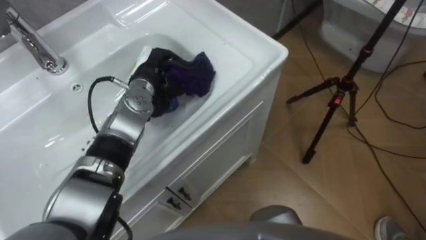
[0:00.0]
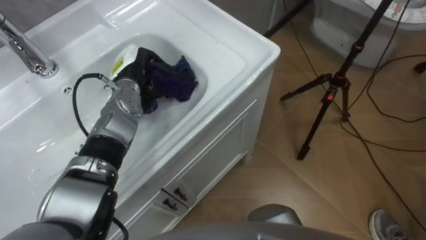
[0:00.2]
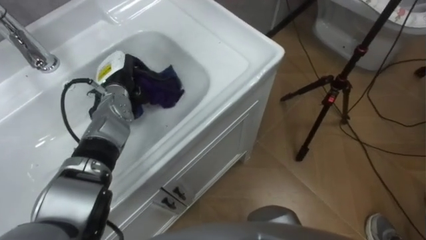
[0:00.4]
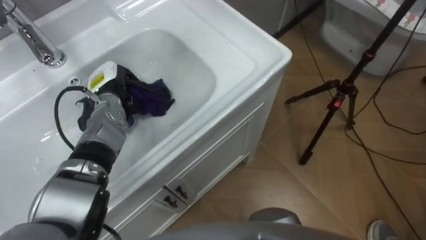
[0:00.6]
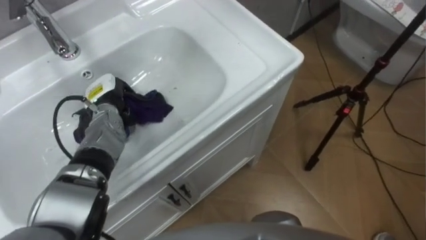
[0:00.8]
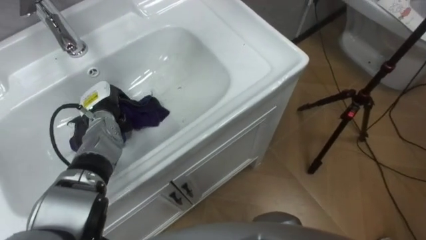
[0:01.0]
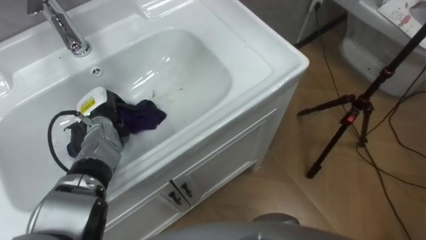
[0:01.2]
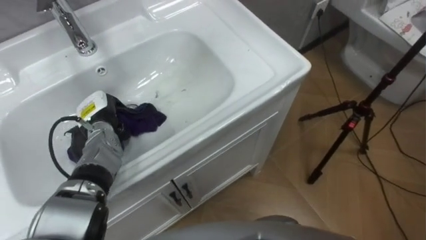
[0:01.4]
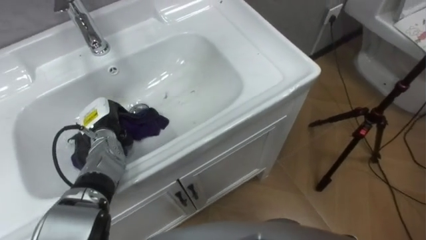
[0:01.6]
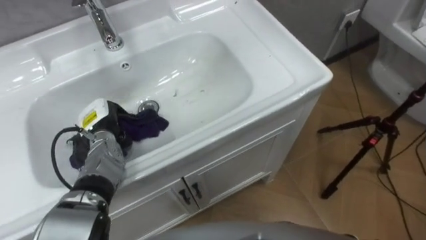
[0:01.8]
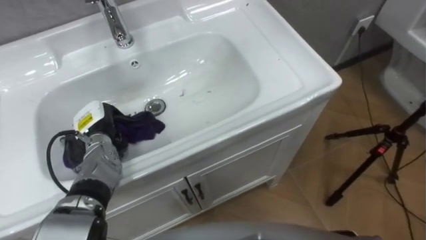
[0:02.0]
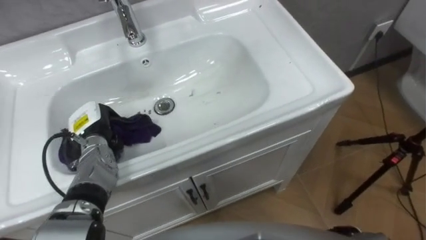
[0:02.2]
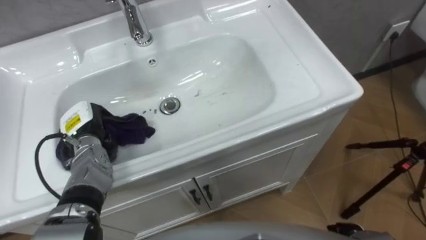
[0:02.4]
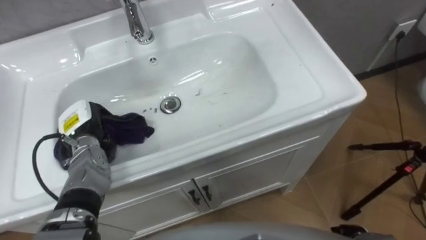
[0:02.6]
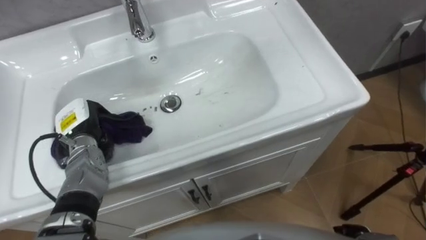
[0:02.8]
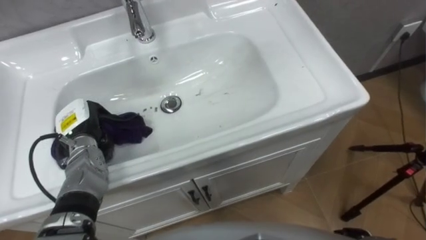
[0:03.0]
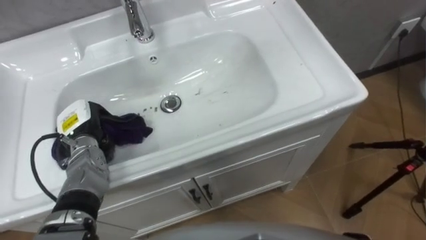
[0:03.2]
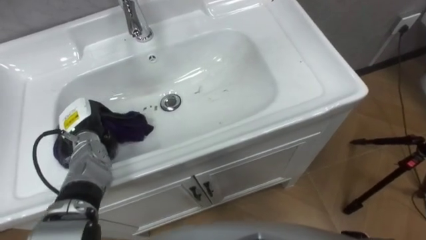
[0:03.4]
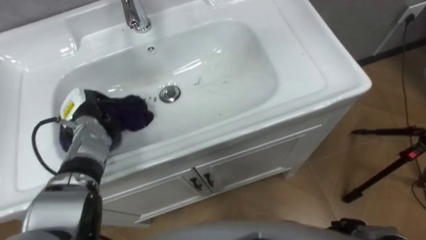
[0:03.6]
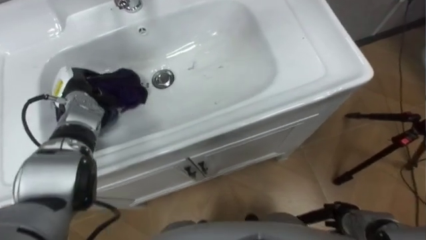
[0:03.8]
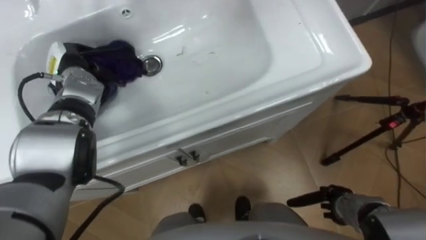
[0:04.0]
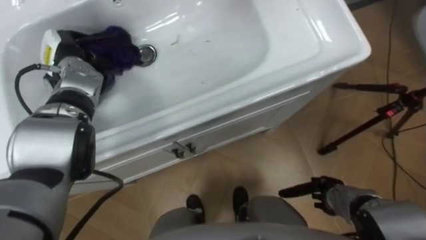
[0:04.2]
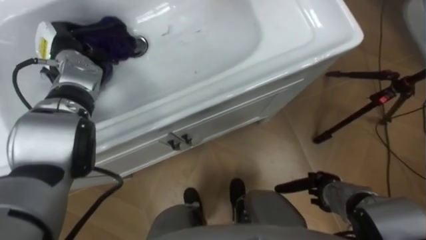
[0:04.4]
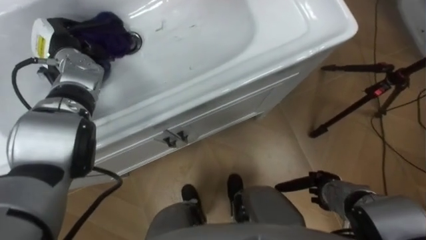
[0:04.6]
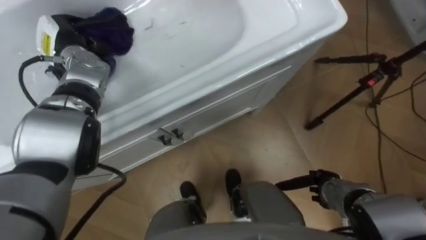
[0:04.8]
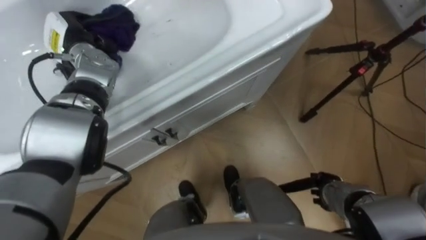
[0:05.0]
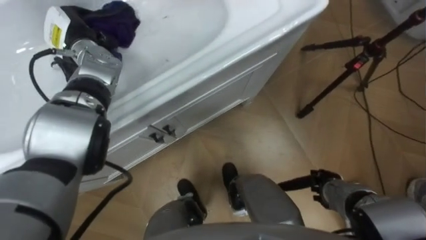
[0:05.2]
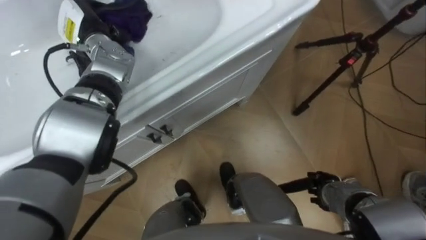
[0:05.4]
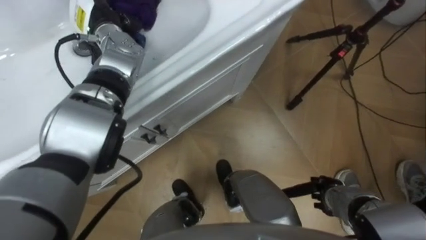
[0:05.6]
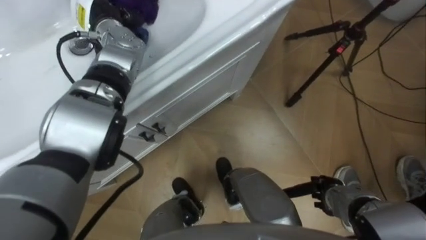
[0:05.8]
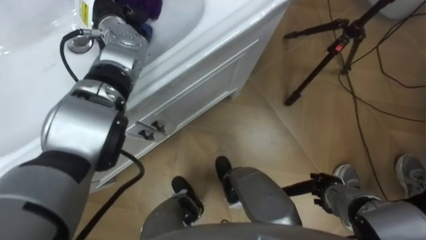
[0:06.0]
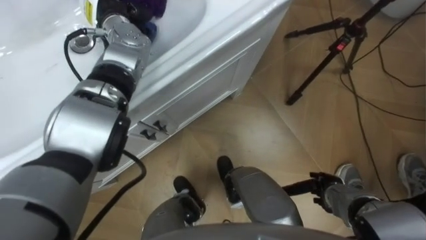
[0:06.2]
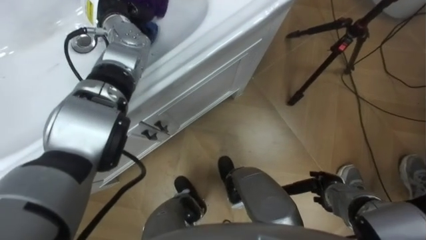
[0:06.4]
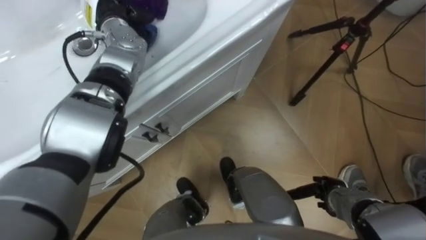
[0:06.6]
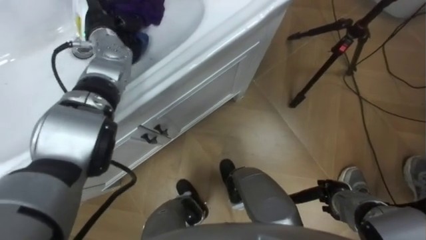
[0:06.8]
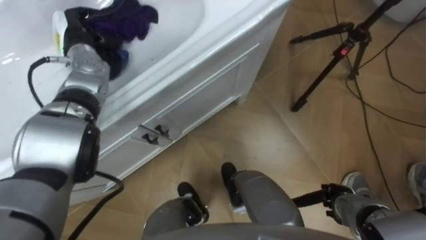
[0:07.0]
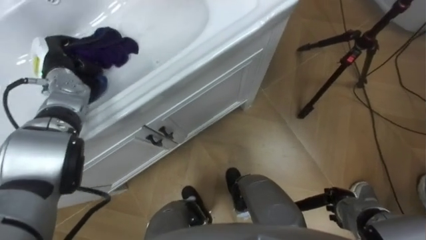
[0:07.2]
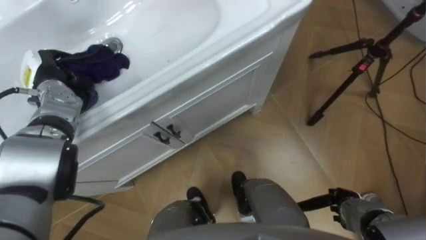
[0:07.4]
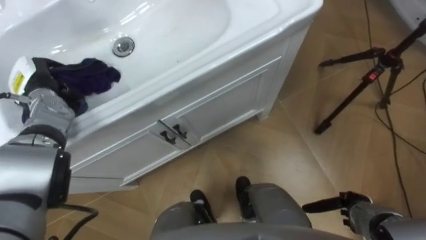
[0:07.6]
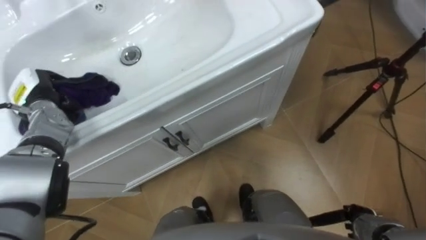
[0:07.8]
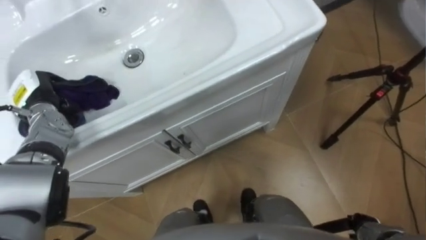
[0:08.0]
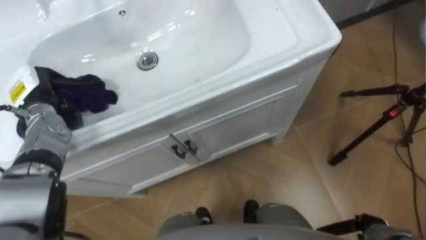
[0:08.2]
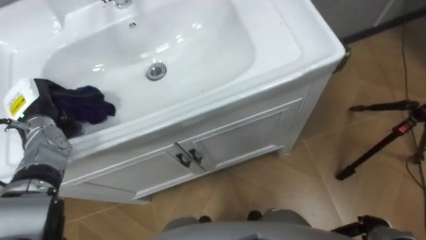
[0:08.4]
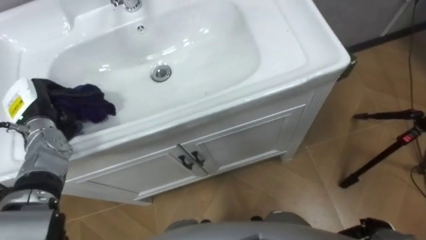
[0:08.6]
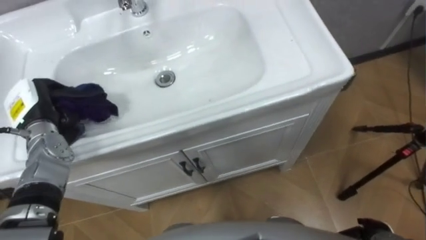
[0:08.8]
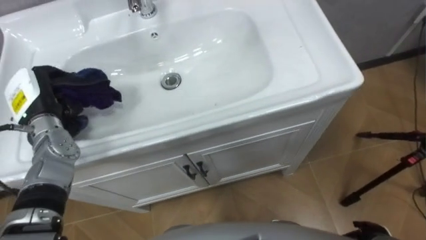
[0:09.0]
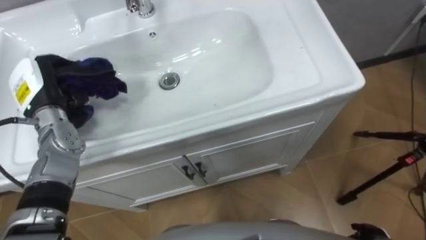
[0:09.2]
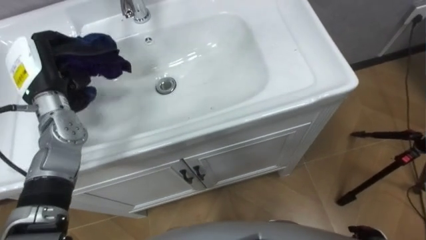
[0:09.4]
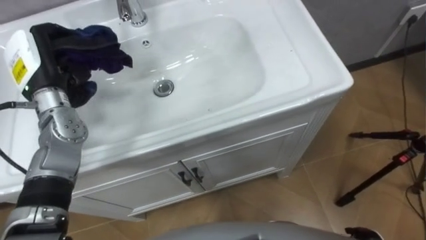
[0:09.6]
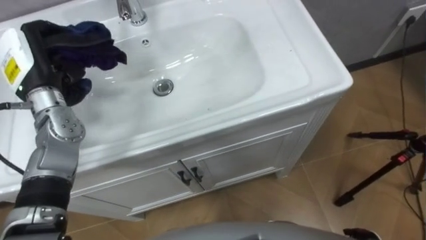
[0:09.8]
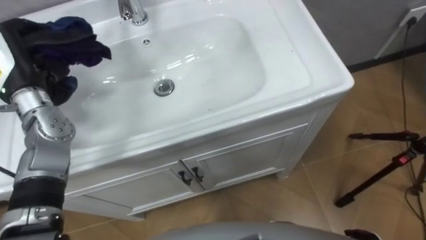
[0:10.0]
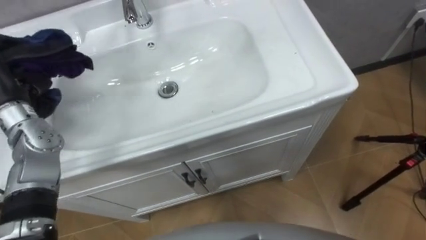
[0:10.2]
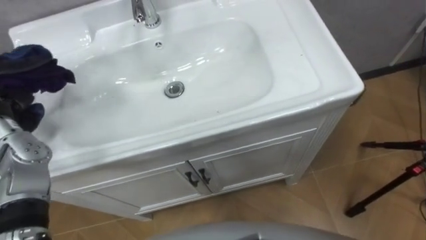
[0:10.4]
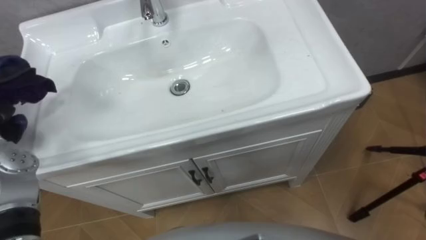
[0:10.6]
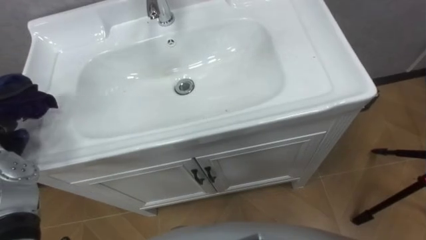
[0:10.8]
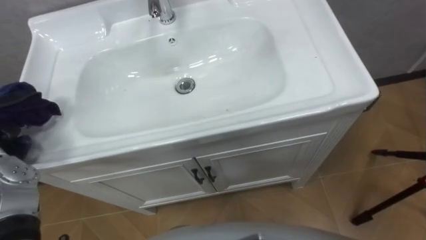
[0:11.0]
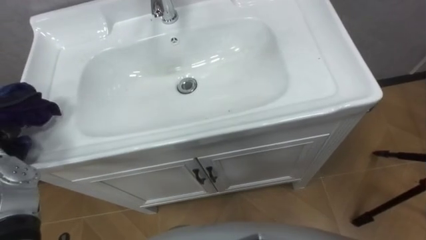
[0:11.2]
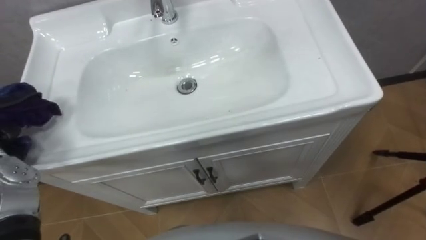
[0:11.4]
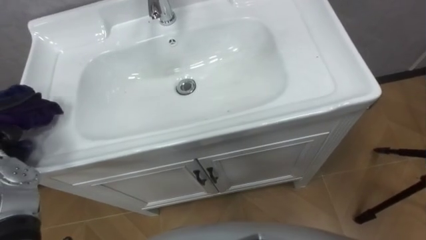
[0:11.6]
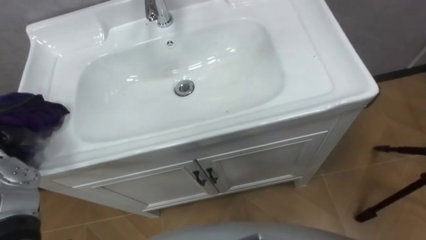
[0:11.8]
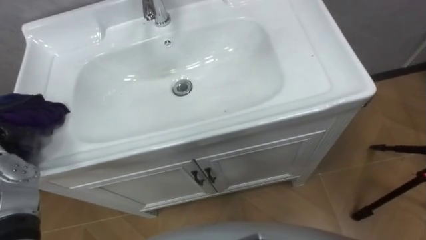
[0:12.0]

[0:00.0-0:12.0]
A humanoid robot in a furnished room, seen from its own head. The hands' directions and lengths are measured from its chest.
Task of the whole recording: Use the cloth on the right to wipe away the black stain in the sink.
0:00.0 to 0:01.6: The left hand heads to the left, backward and downward, covering some 15 cm.
0:03.0 to 0:04.4: The left hand heads forward and upward, covering approximately 15 cm.
0:04.4 to 0:06.0: The left hand is displaced to the right and upward by some 10 cm.
0:06.0 to 0:07.6: The right hand heads to the right, covering approximately 5 cm, while the left hand travels to the left, backward and downward by some 20 cm.
0:07.6 to 0:09.0: The left hand moves about 5 cm.

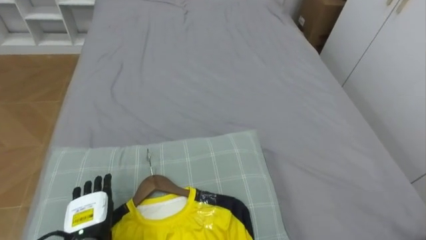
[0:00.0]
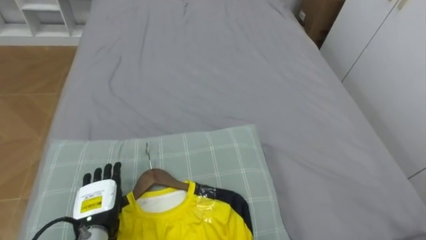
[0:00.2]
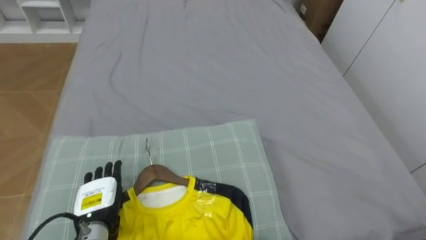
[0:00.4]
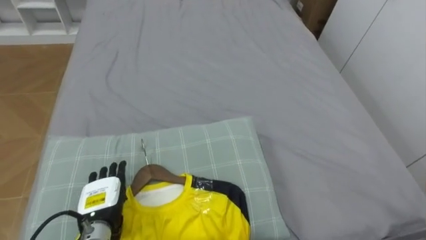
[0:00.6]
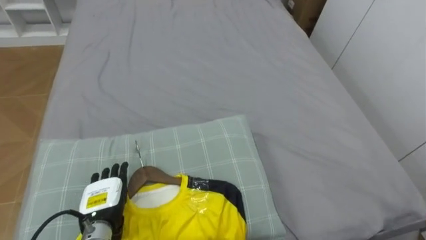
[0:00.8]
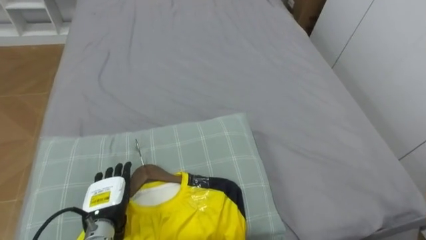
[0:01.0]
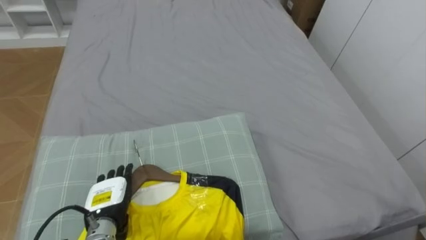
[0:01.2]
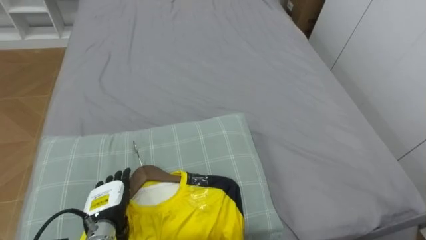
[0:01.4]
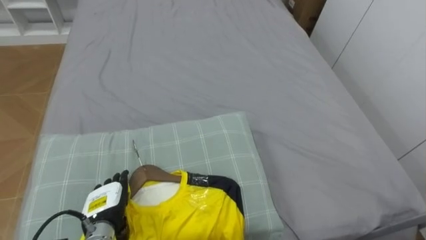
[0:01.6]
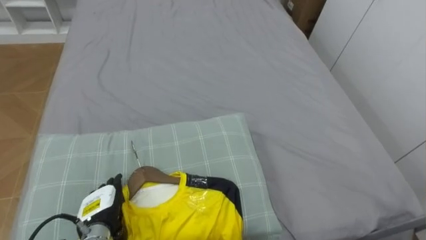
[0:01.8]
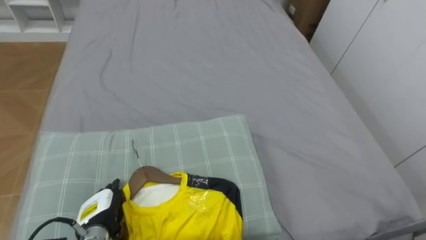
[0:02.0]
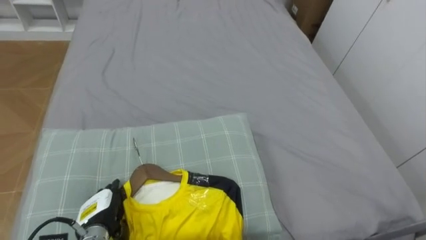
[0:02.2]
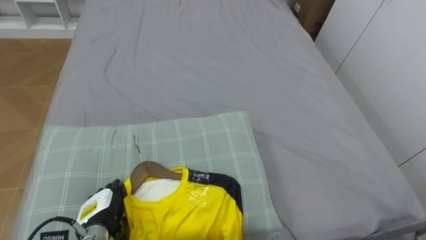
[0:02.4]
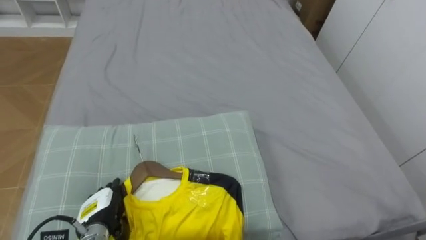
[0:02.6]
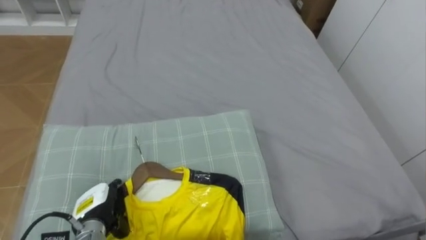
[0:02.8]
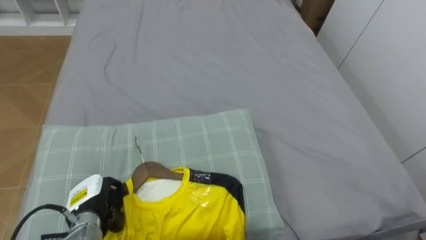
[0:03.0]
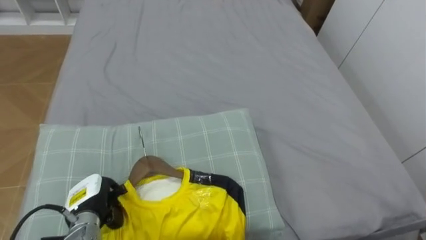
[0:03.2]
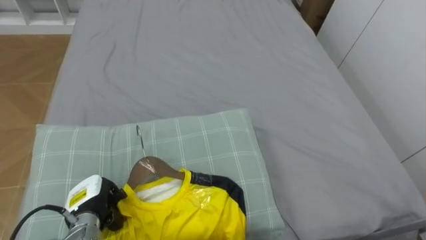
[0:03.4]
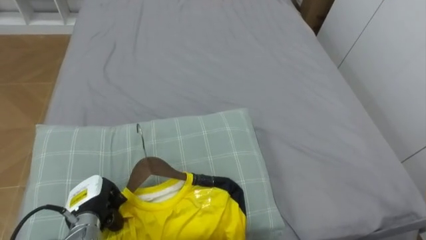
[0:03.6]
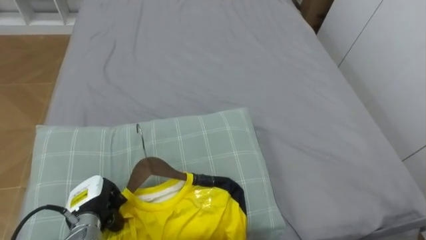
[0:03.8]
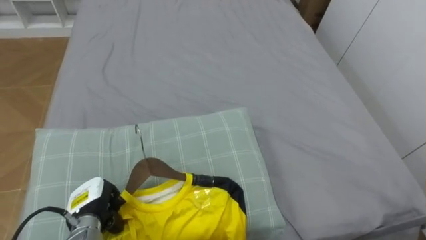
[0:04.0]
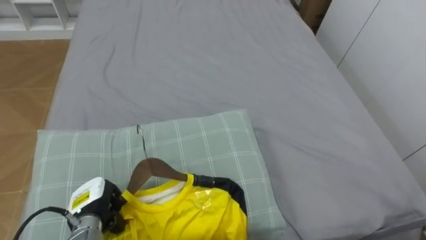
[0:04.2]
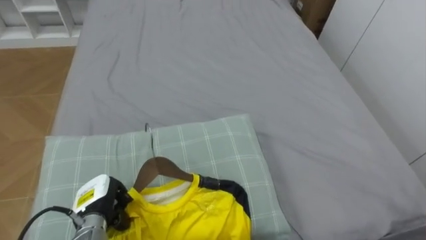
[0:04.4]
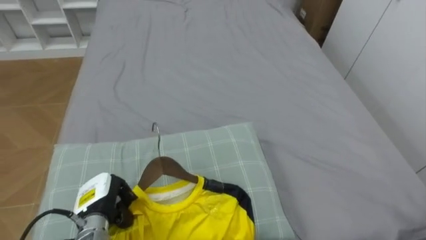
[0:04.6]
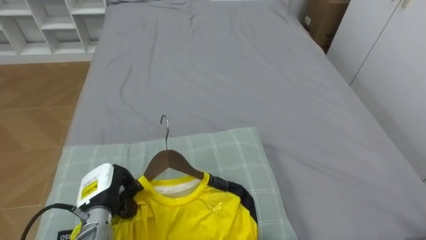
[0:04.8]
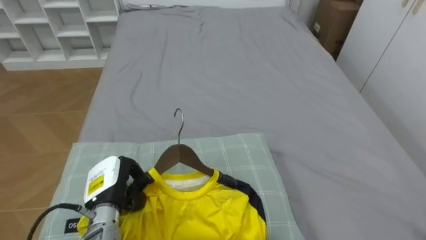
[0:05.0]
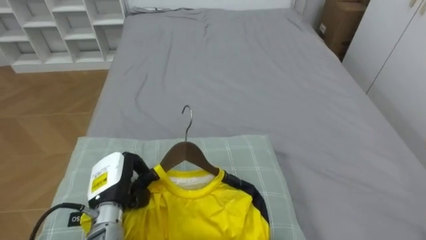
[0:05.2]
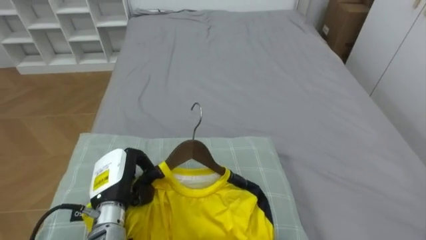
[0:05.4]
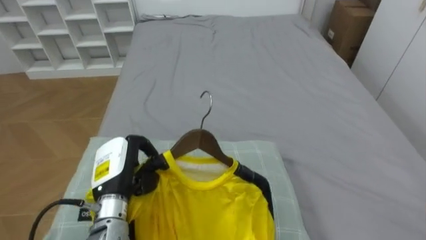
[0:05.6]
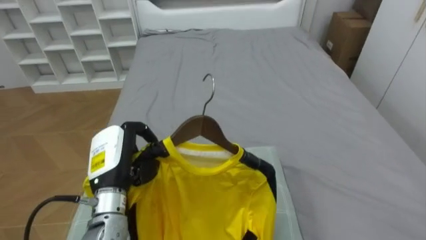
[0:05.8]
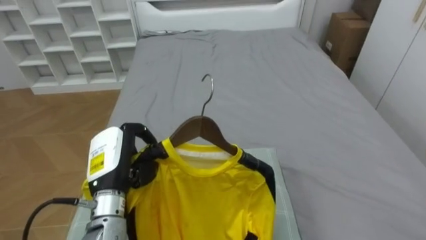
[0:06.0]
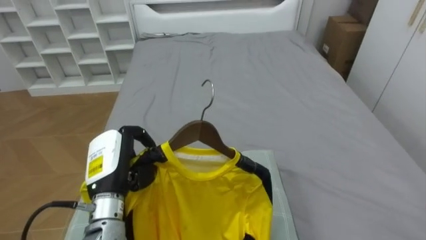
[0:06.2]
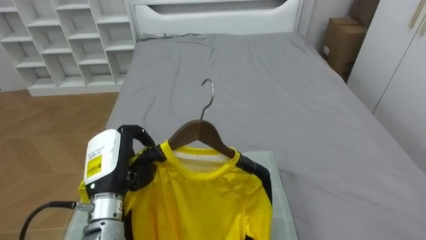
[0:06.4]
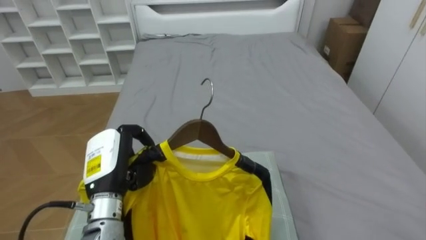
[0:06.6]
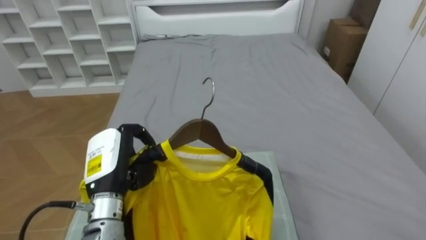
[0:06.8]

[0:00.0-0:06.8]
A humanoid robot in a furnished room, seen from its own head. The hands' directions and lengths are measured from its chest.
Task of the whole recording: Pick up the yellow shirt on the bed and hang it on the clothes rack on the right.
0:02.8 to 0:04.0: The left hand closes.
0:04.0 to 0:05.4: The left hand heads upward and to the right, covering about 10 cm.
0:05.4 to 0:06.8: The left hand moves upward, roughly 5 cm.
